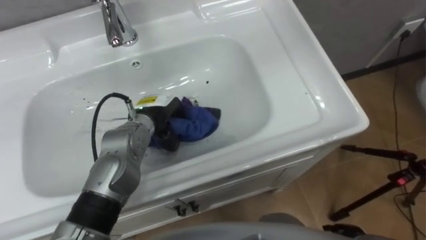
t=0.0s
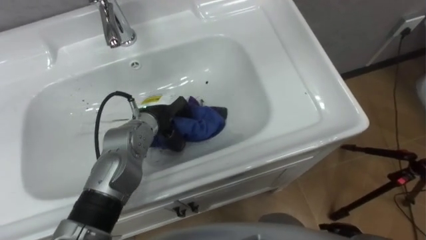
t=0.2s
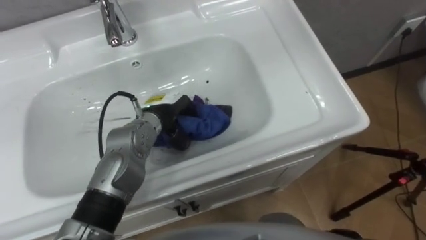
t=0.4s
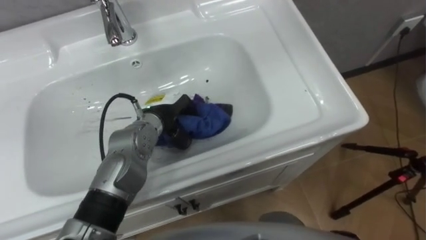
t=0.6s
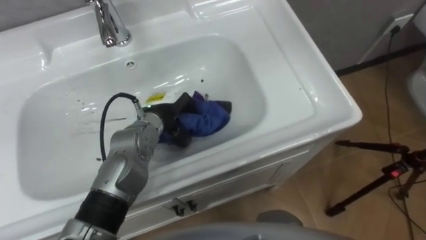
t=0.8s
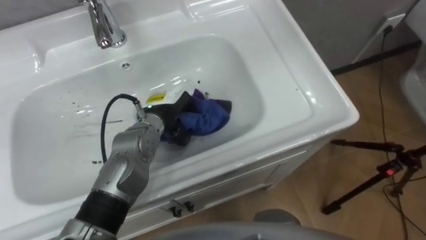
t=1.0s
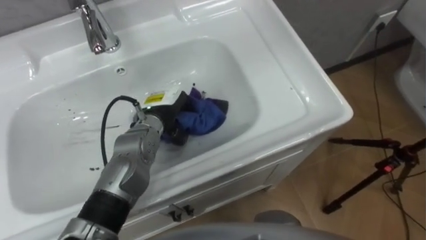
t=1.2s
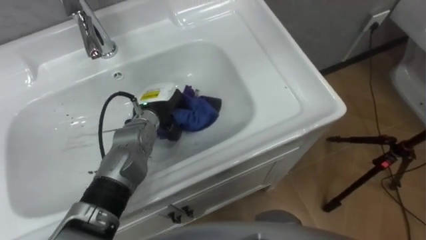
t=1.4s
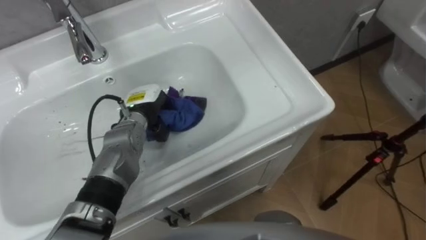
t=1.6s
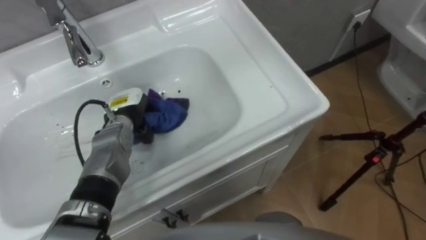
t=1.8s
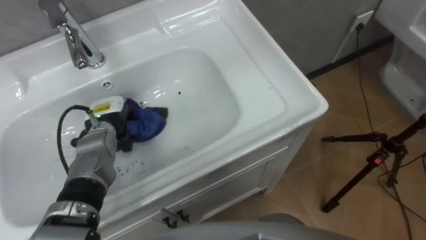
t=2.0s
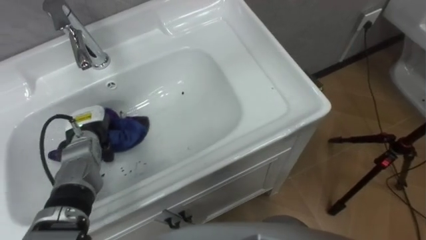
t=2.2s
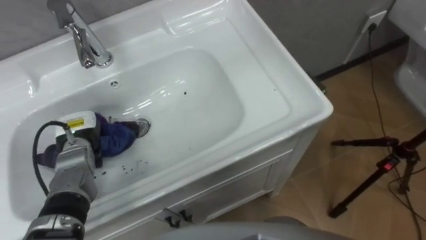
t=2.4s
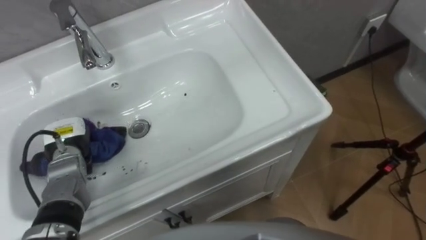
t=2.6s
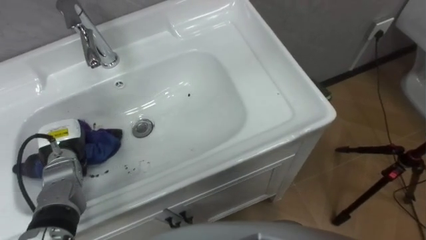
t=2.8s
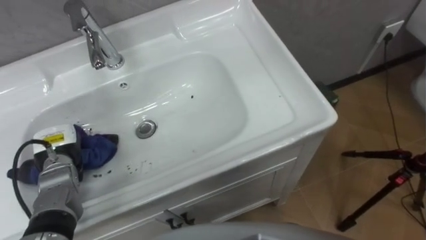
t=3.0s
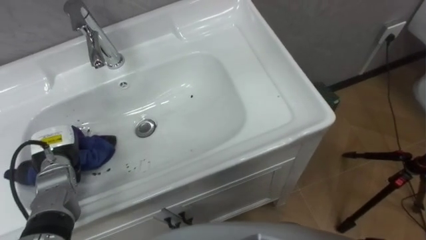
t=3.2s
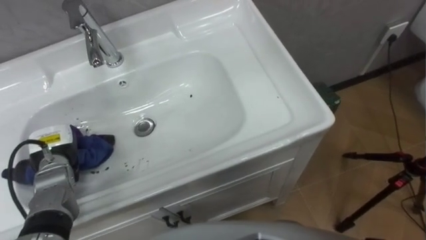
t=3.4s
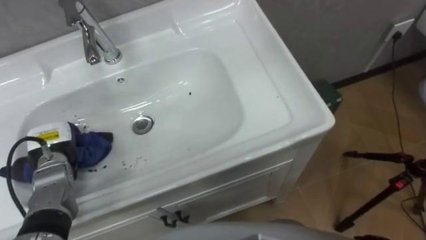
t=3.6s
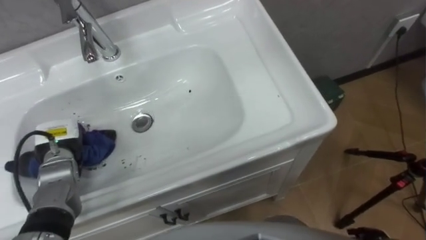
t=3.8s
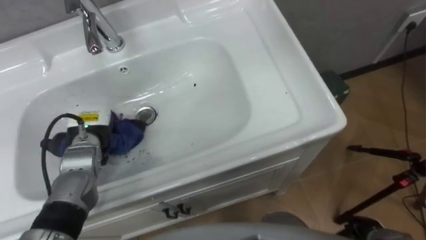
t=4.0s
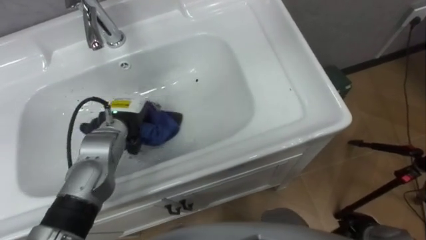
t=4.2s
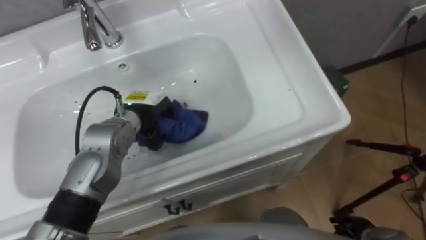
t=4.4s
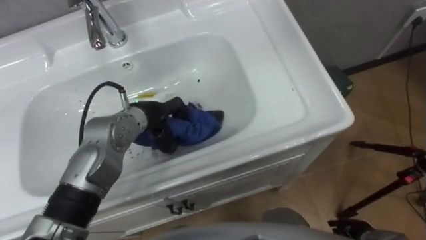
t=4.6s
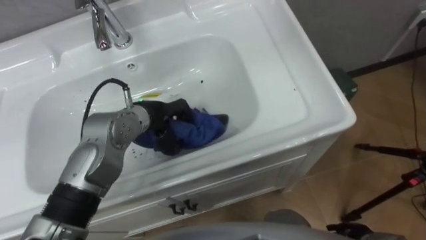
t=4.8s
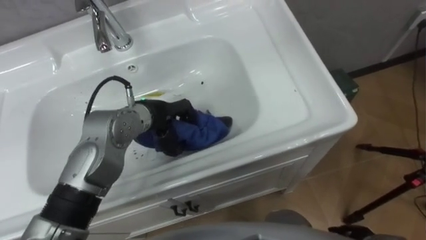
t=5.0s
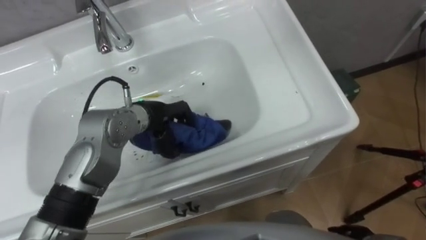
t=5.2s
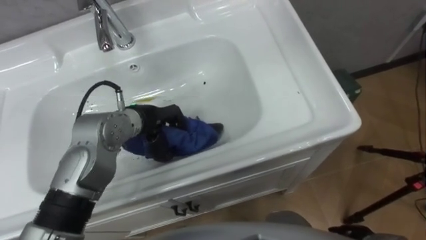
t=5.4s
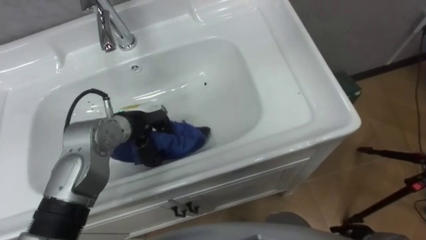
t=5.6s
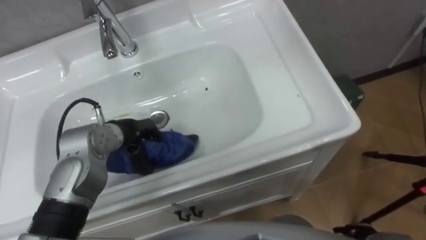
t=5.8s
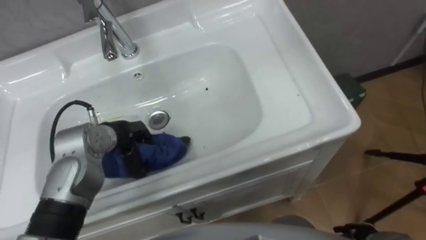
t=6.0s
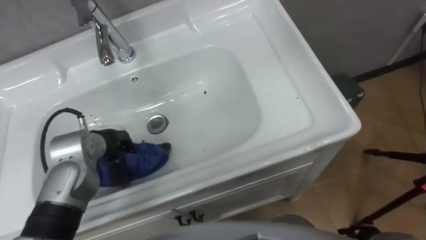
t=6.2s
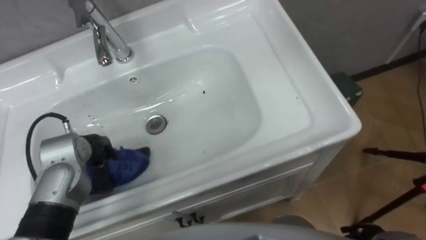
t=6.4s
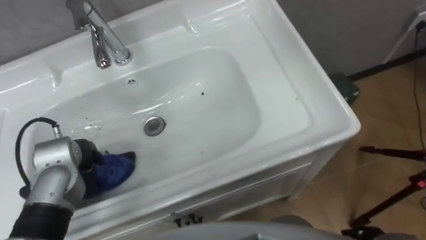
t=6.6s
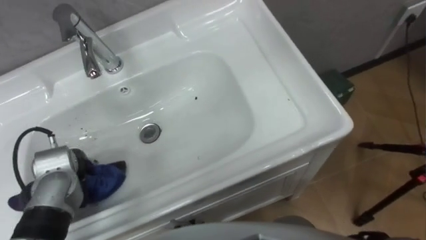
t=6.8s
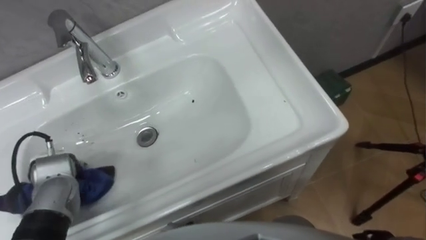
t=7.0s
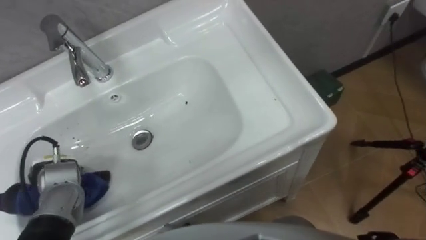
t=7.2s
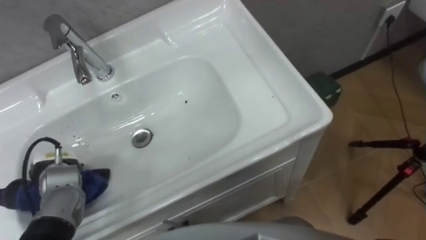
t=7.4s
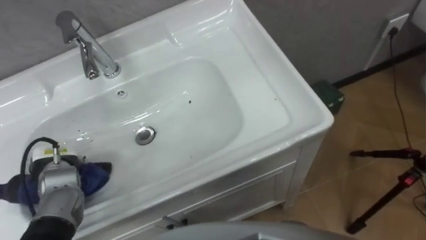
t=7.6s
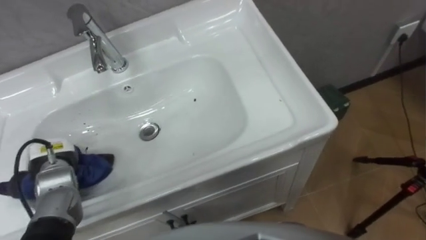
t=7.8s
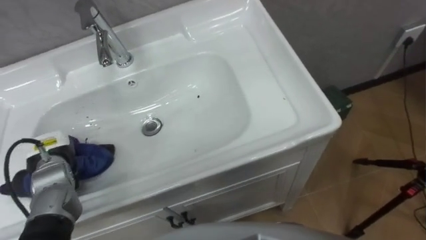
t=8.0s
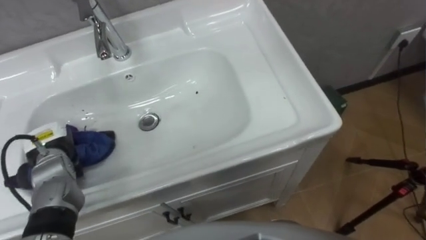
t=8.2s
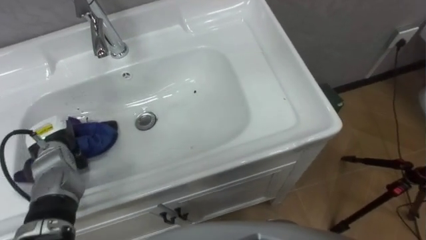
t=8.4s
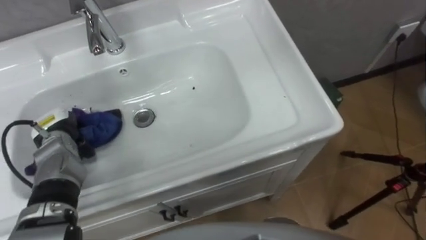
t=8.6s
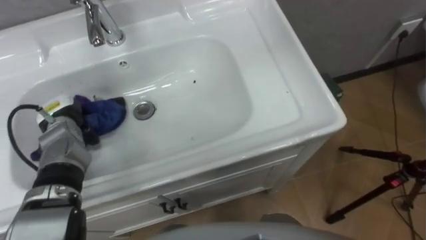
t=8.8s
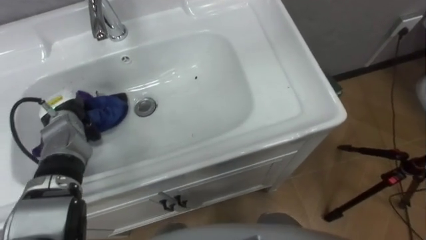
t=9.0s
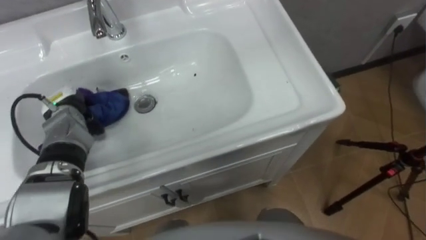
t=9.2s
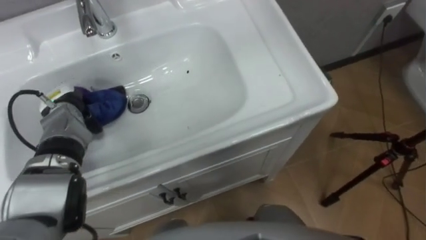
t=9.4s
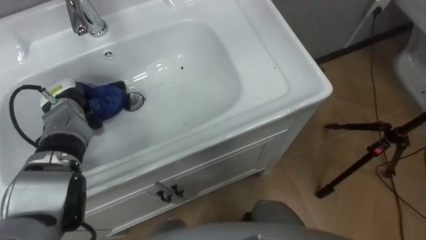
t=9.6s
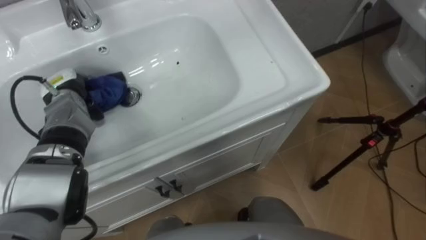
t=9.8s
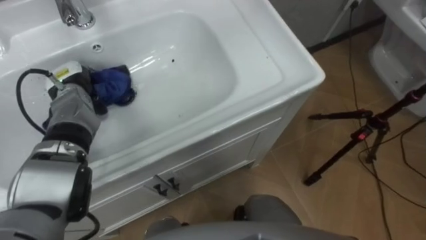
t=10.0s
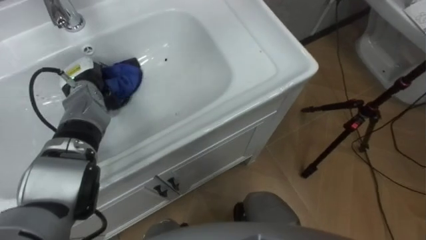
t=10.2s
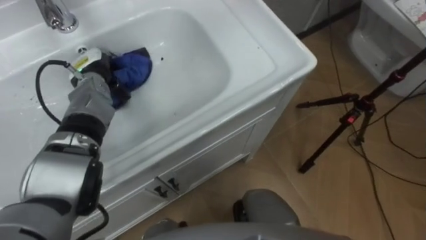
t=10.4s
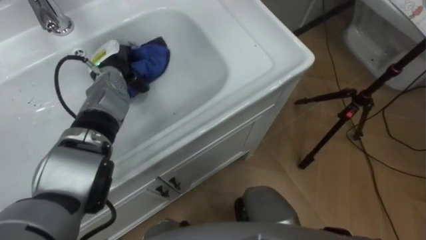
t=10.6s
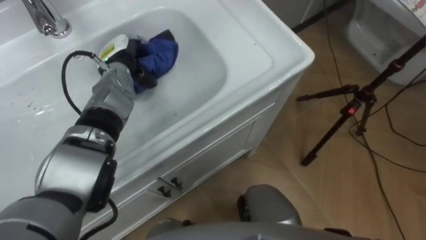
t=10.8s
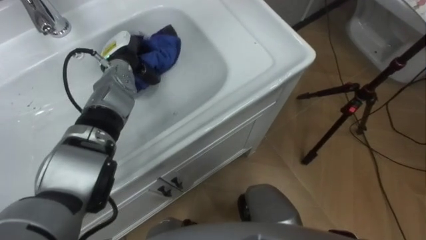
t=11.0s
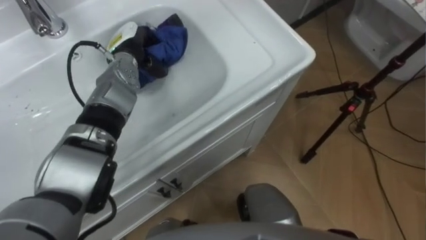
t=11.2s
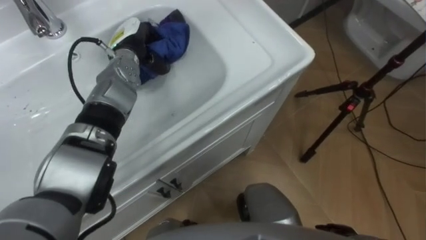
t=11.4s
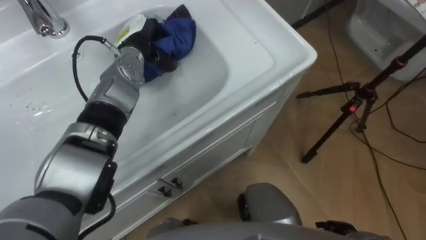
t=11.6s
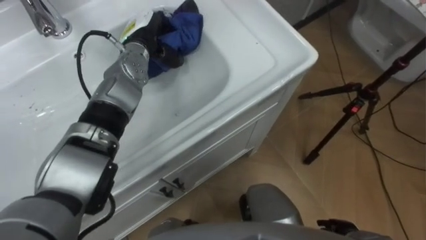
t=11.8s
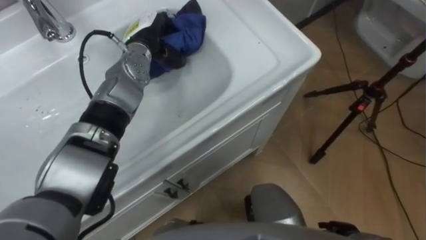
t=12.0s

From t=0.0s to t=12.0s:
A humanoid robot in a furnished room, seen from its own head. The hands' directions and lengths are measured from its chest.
Task of the whole recording: Use the cloth on the right to wipe away the black stain in the sink.
From t=1.6s to t=3.0s: The left hand shifts roughly 20 cm to the left and backward.
From t=3.0s to t=4.4s: The left hand heads to the right, covering about 20 cm.
From t=4.4s to t=6.0s: The left hand ends up about 5 cm from where it was.
From t=6.0s to t=7.6s: The left hand shifts about 15 cm to the left and backward.
From t=7.6s to t=9.0s: The left hand shifts roughly 10 cm forward.
From t=9.0s to t=10.4s: The left hand travels forward and to the right by some 10 cm.
From t=10.4s to t=12.0s: The left hand moves to the right and upward, about 15 cm.

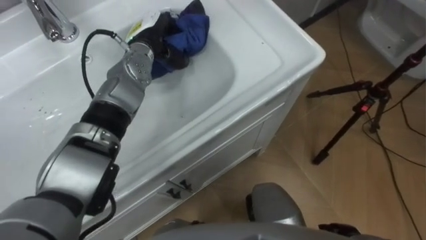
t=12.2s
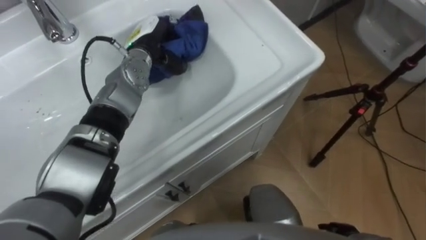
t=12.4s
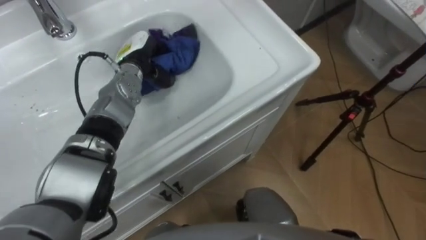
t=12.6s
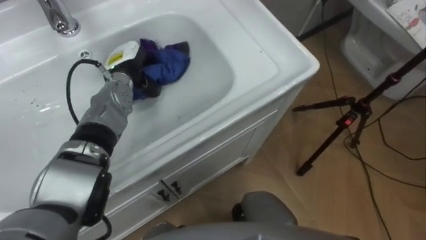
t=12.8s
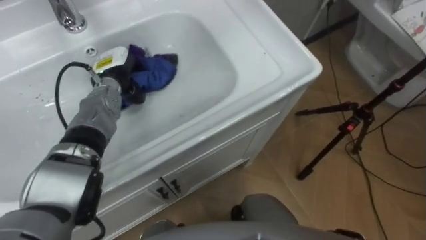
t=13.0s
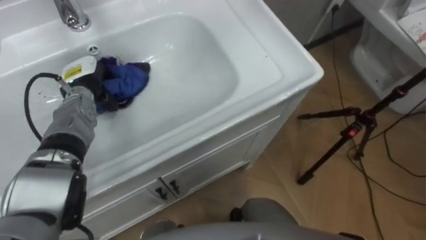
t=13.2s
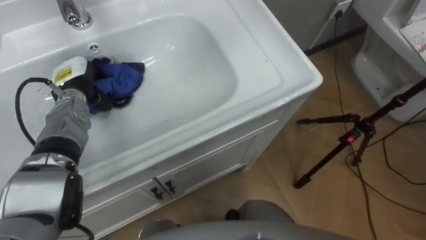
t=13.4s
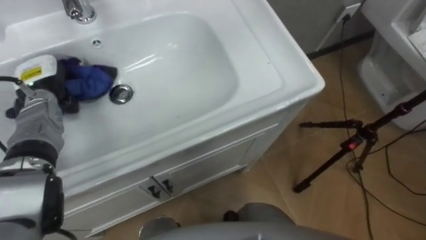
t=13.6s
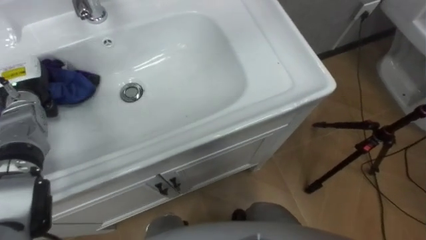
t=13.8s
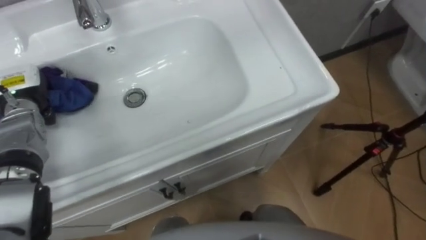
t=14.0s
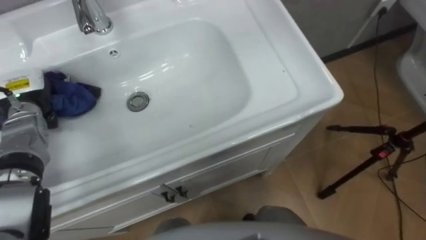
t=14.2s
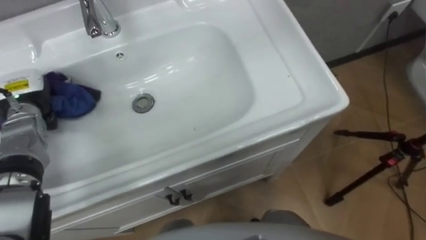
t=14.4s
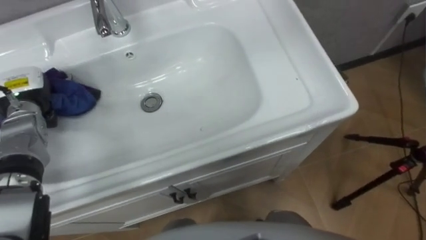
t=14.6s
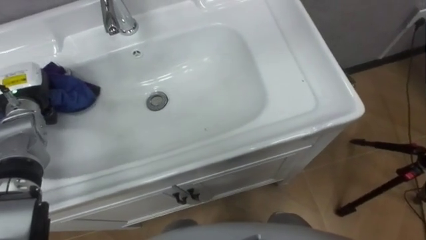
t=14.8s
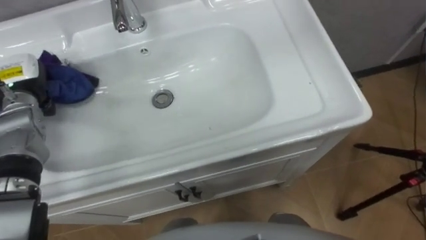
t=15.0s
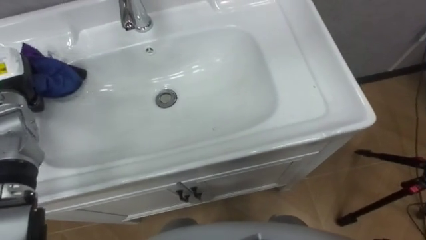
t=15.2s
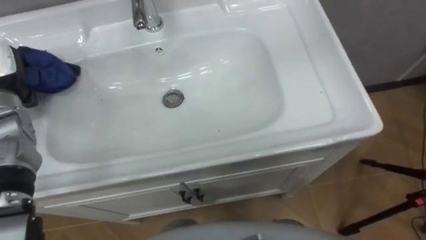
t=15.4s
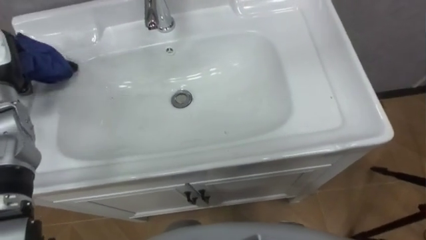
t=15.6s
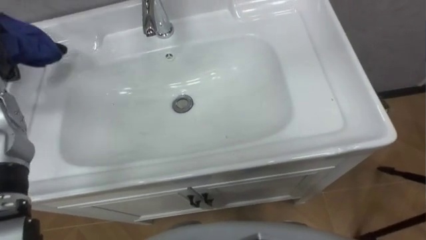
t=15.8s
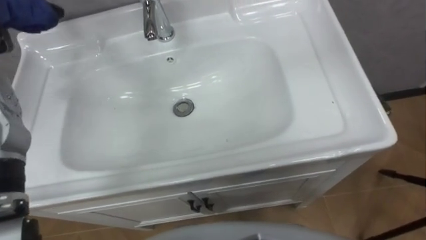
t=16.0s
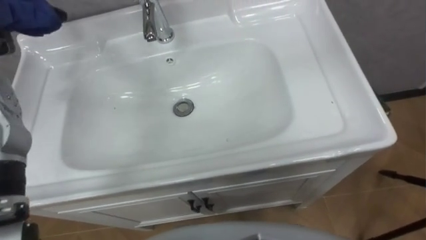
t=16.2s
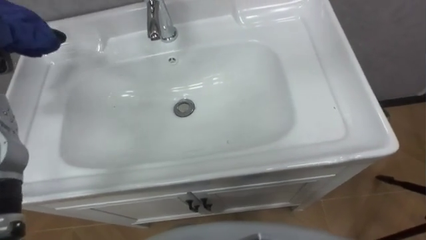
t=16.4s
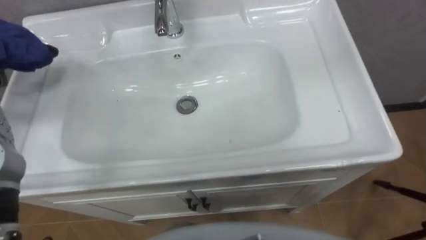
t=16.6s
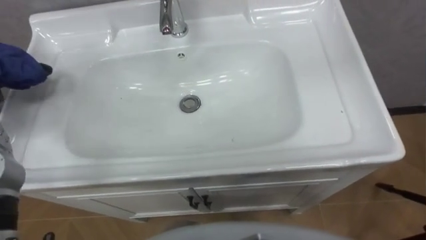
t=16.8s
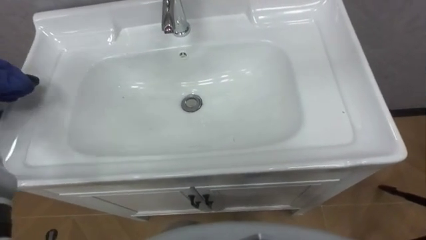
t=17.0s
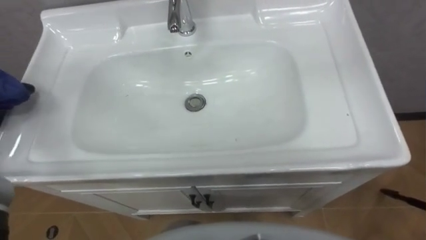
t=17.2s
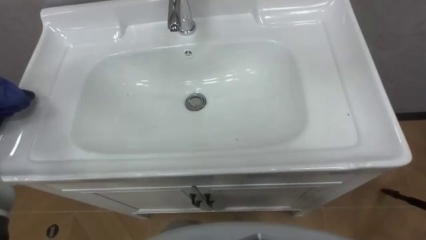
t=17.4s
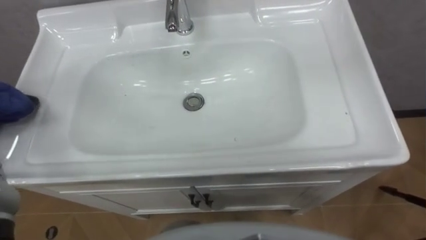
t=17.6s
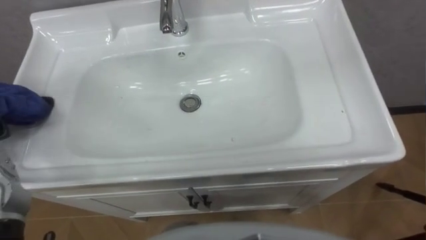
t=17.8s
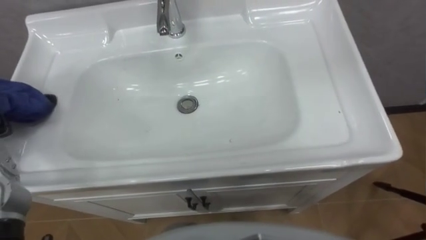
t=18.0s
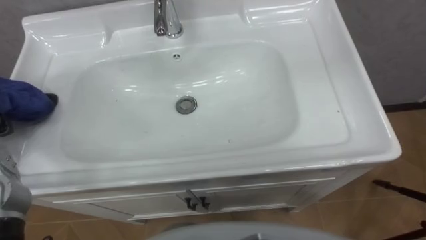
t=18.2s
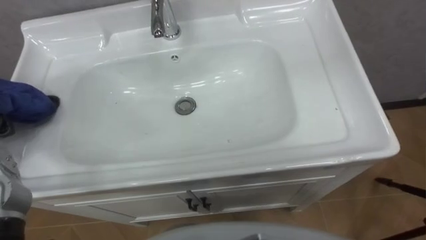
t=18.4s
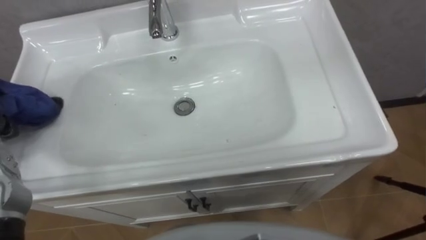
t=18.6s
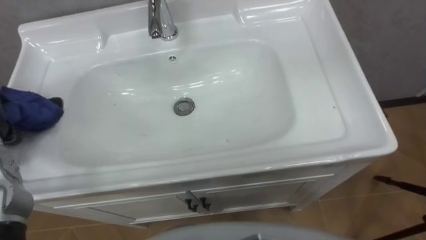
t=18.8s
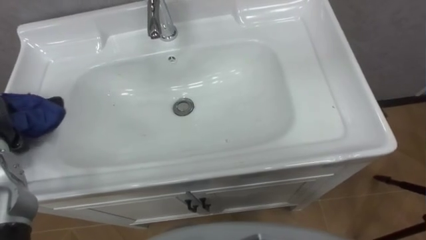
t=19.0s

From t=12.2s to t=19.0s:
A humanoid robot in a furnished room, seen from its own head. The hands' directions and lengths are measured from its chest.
Task of the whole recording: Use the cloth on the right to wipe away the black stain in the sink.
From t=12.2s to t=13.6s: The left hand travels to the left by roughly 20 cm.
